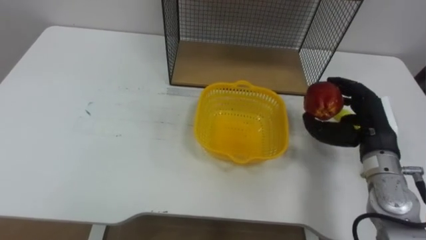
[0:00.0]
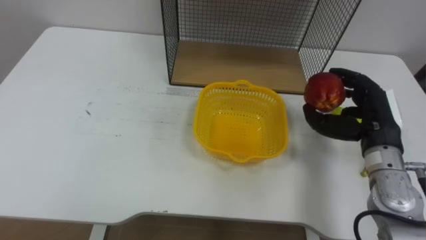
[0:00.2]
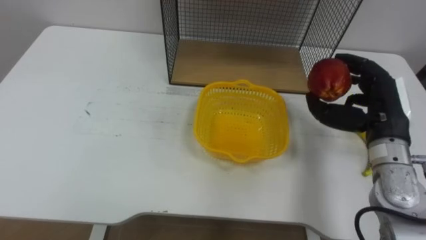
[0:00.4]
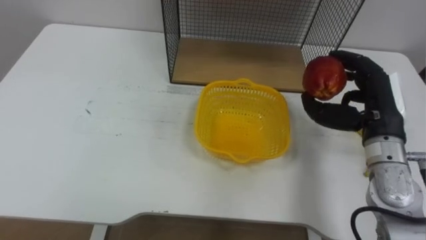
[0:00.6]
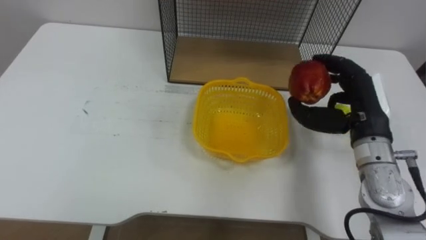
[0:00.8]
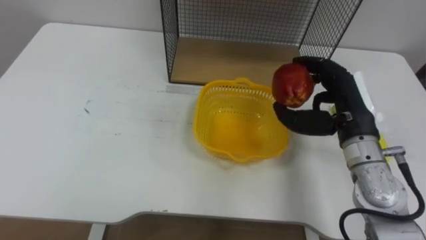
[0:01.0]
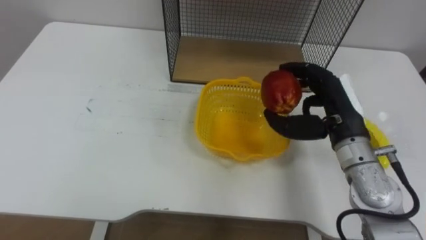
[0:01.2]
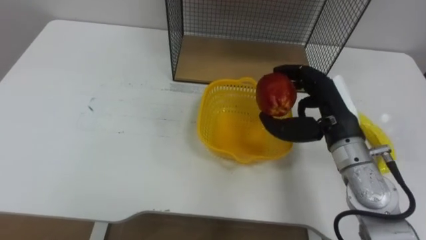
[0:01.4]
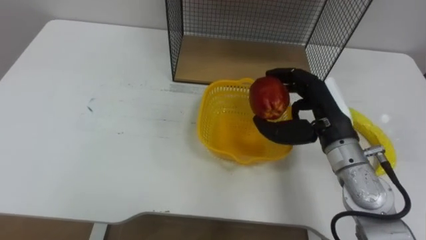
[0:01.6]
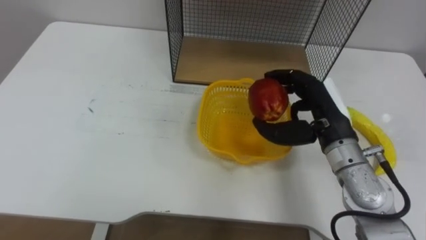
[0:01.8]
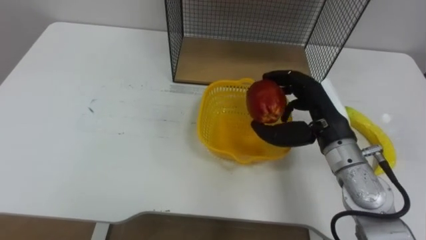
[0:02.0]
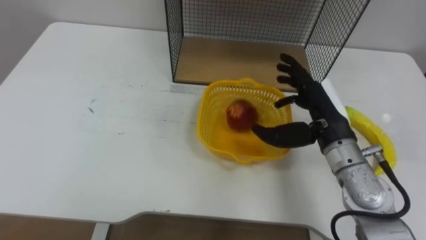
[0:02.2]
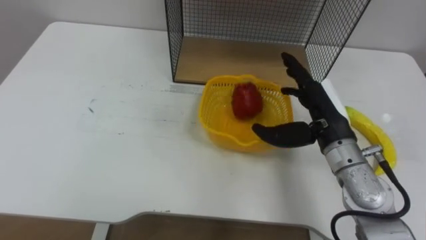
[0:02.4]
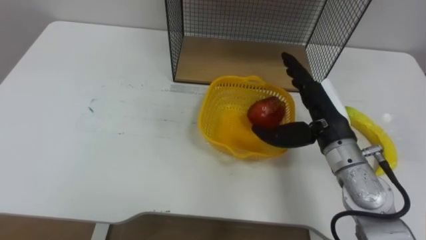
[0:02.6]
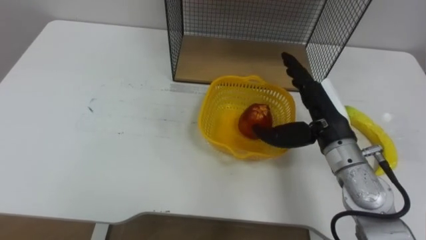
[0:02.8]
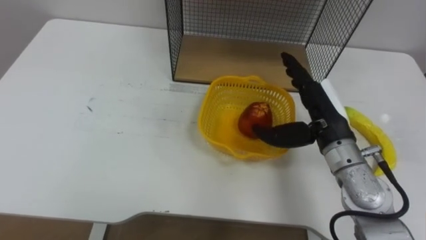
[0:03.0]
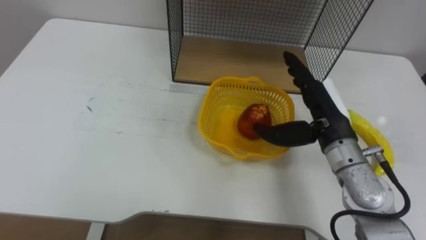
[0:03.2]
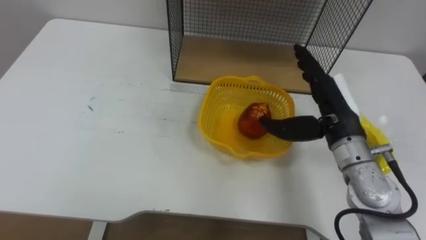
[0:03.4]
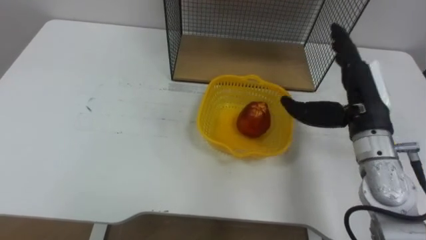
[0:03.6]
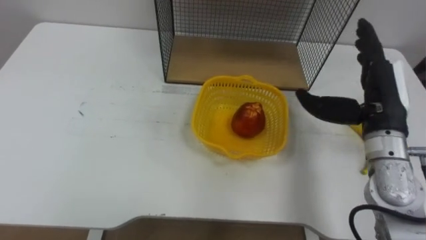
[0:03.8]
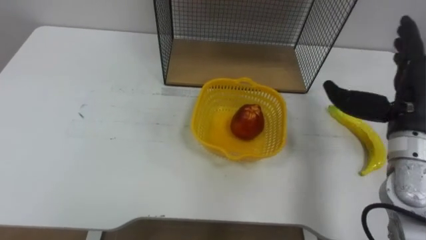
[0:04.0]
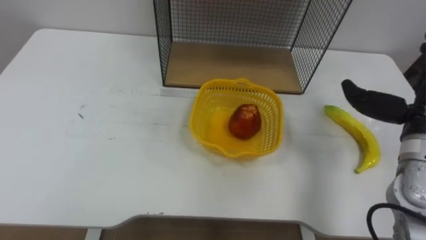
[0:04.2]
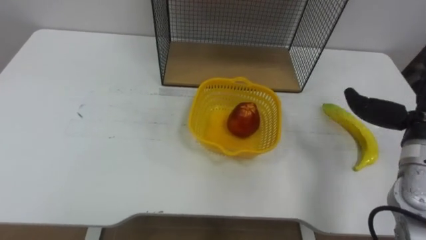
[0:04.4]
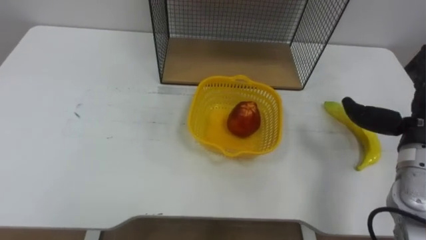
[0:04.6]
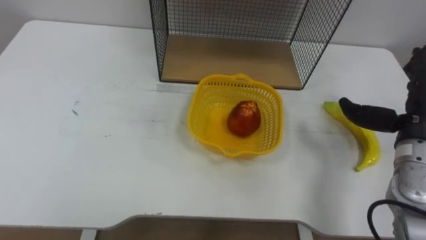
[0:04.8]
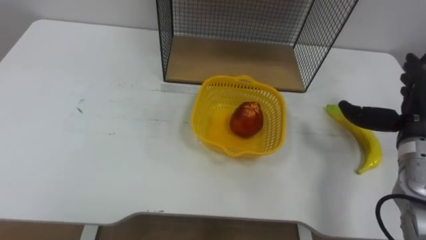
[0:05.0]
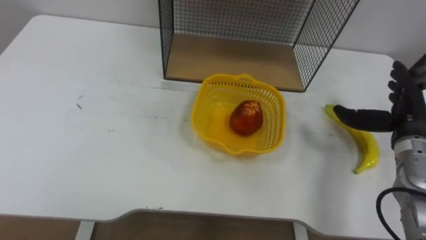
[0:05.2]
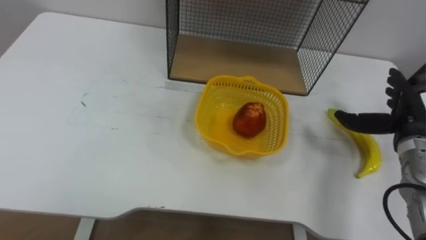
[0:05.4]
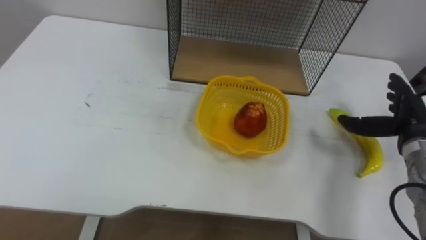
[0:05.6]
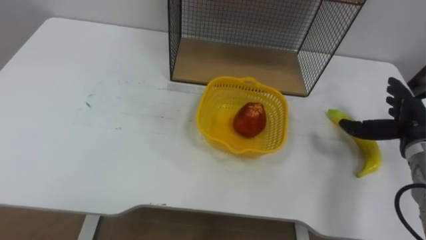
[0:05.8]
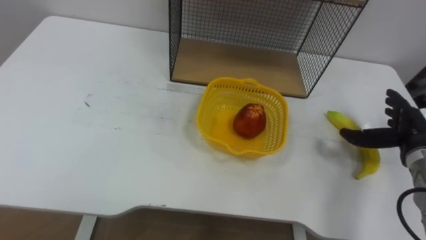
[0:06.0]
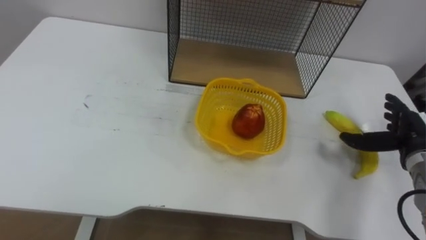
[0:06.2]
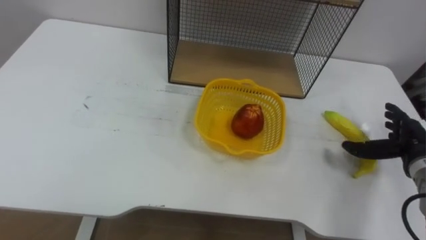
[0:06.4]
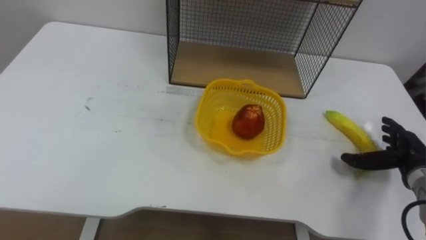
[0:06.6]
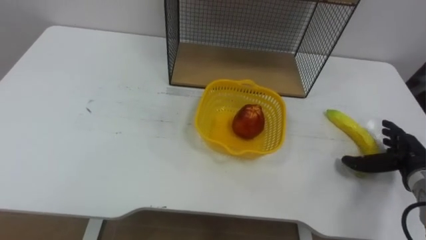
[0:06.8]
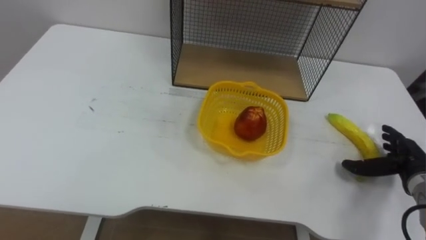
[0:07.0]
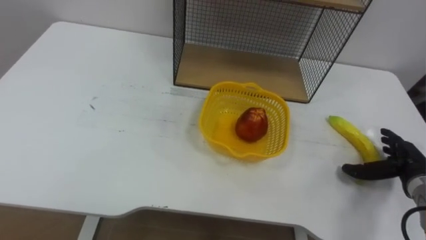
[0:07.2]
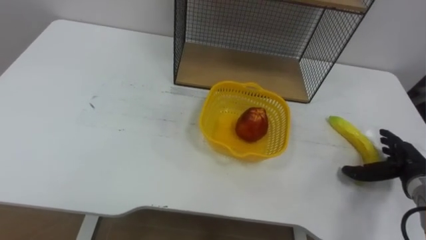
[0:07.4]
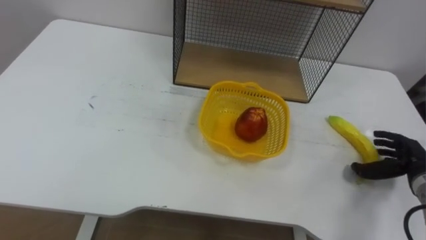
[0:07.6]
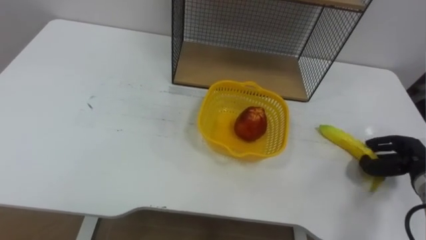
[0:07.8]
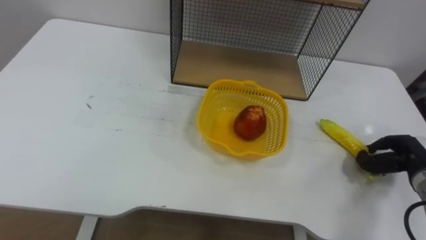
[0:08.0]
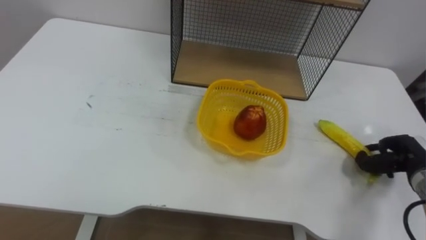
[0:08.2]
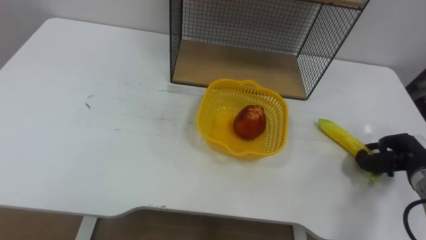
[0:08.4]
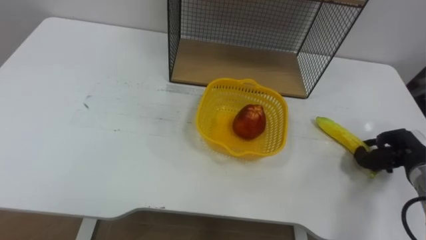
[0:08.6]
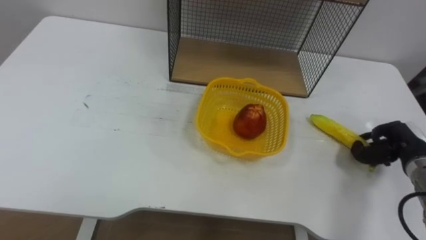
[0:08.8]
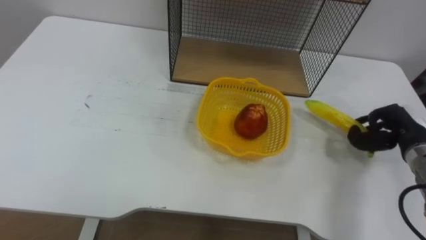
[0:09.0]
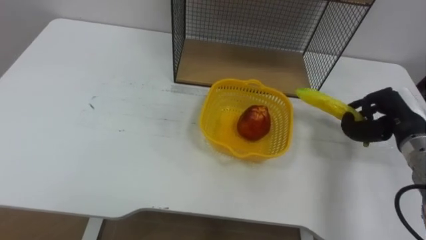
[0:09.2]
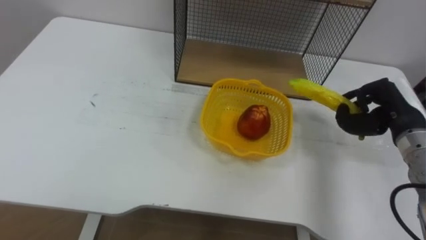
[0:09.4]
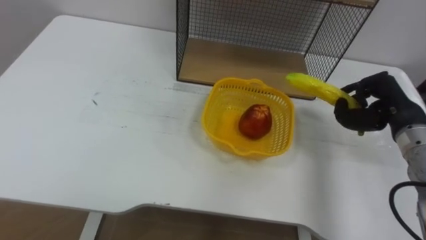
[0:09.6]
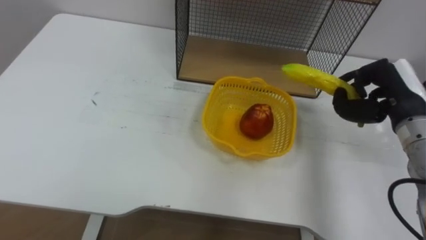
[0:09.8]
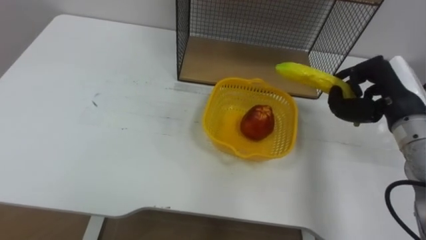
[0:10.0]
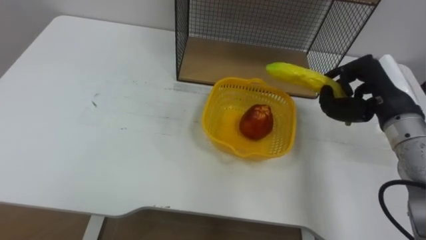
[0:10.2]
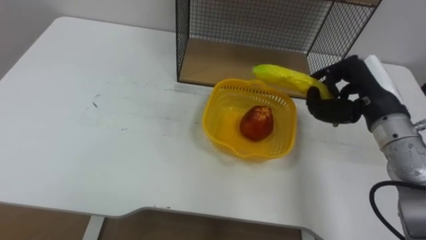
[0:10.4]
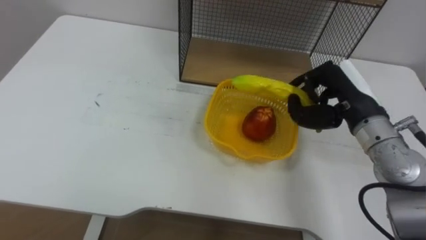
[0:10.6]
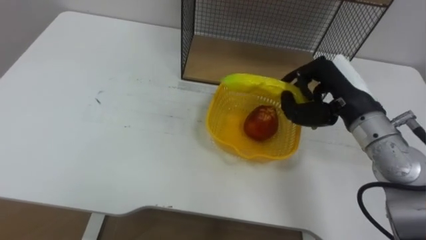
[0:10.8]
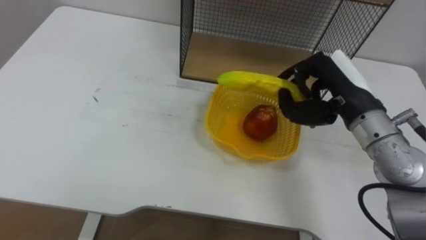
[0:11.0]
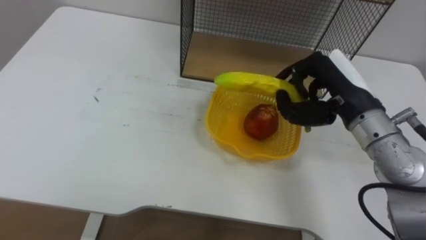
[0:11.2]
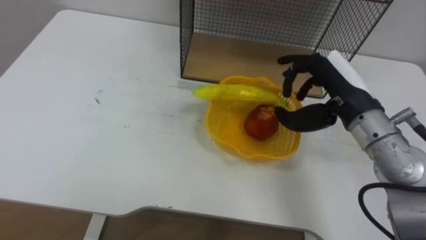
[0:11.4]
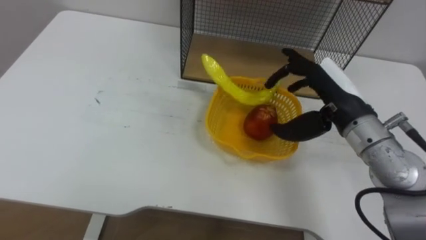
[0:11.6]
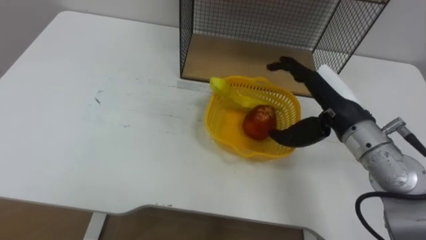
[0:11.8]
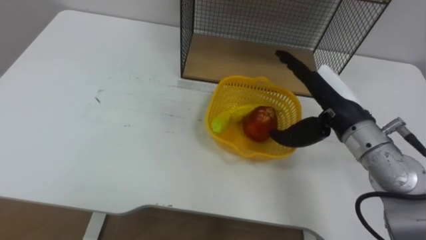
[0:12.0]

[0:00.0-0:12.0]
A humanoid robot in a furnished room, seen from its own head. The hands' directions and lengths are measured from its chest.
Task of the whole recording: Put the fruit on the table into the basket, then place the basket on the shelf.
0:00.0 to 0:01.6: The right hand moves to the left, roughly 10 cm.
0:01.6 to 0:03.0: The right hand opens up.
0:06.0 to 0:07.6: The right hand moves downward, approximately 5 cm.
0:07.6 to 0:09.0: The right hand shifts roughly 5 cm upward, and closes its fingers.
0:09.0 to 0:10.4: The right hand shifts some 15 cm upward and to the left.
0:10.4 to 0:12.0: The right hand shifts some 5 cm to the left, and opens up.

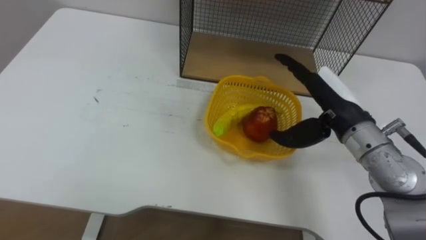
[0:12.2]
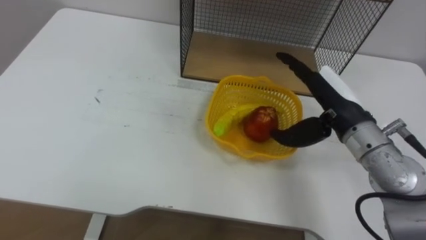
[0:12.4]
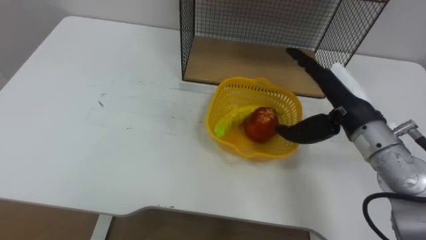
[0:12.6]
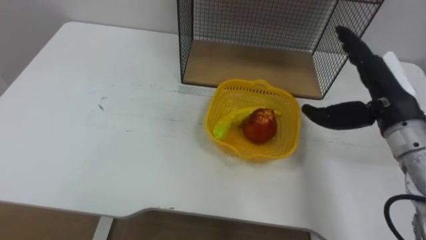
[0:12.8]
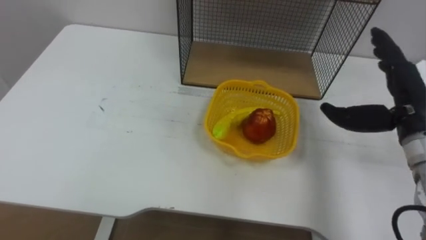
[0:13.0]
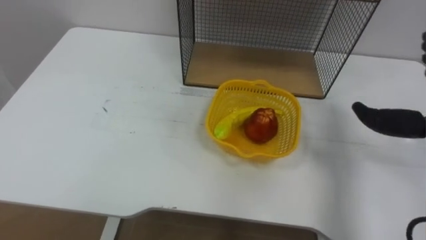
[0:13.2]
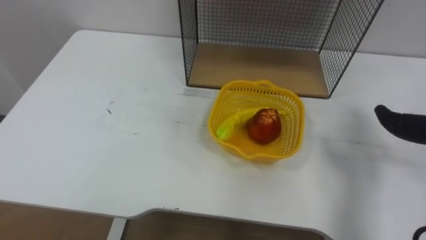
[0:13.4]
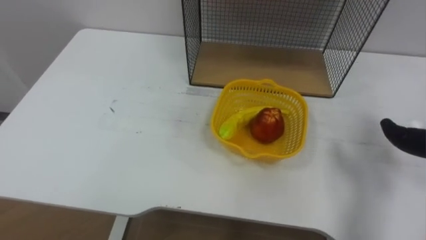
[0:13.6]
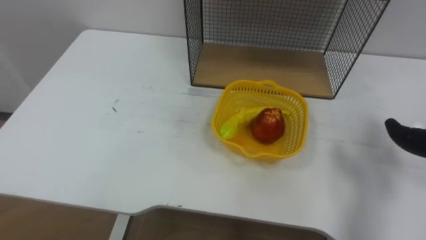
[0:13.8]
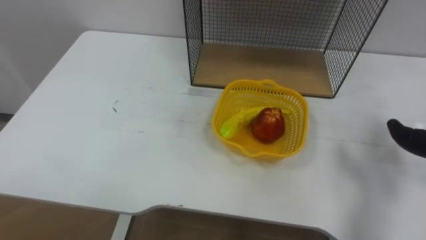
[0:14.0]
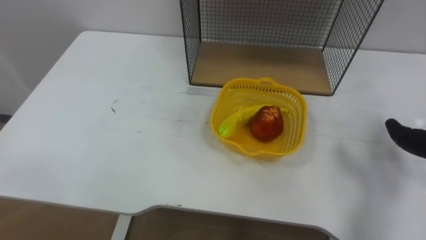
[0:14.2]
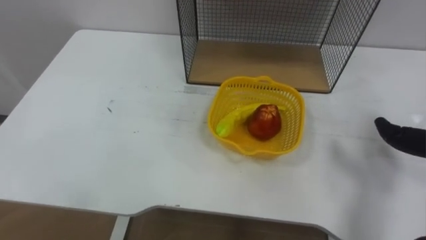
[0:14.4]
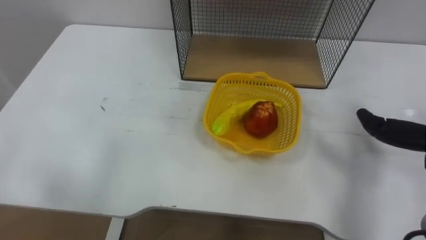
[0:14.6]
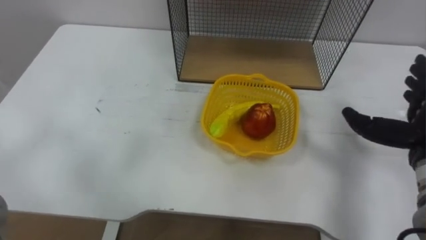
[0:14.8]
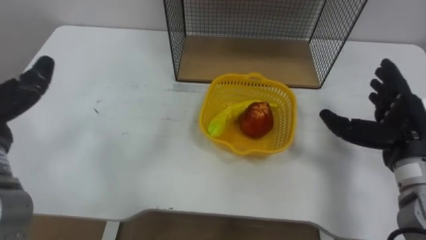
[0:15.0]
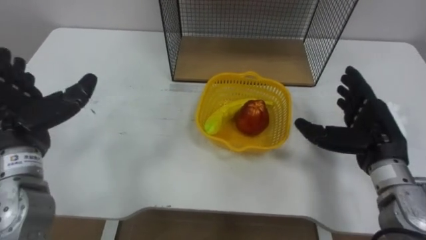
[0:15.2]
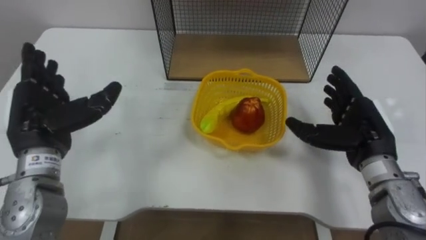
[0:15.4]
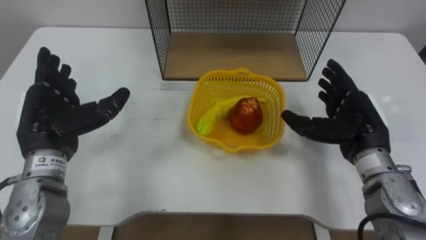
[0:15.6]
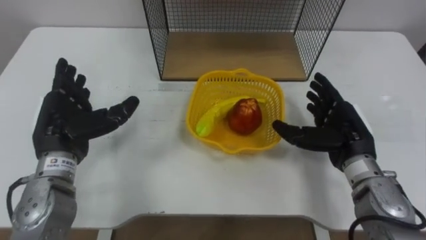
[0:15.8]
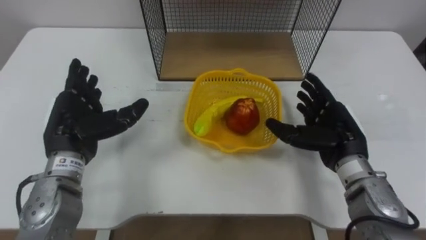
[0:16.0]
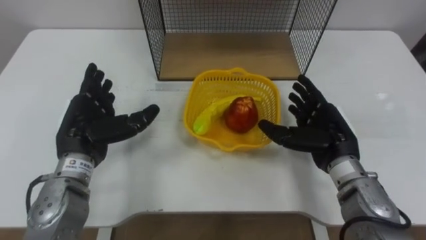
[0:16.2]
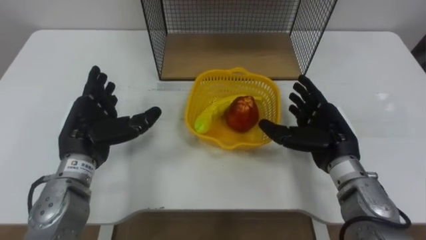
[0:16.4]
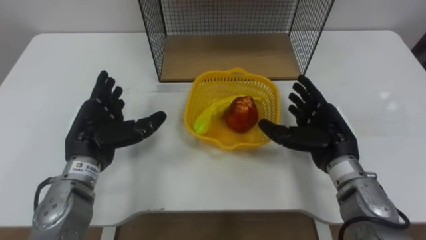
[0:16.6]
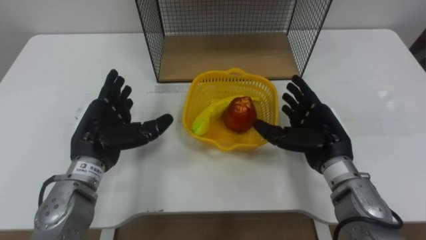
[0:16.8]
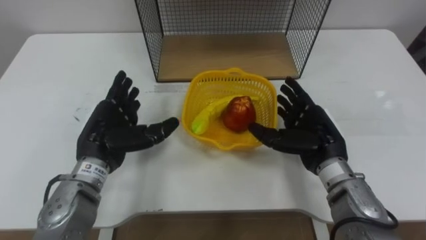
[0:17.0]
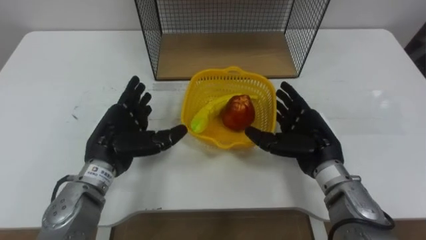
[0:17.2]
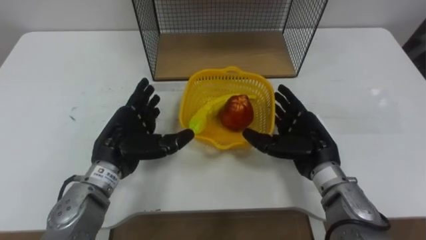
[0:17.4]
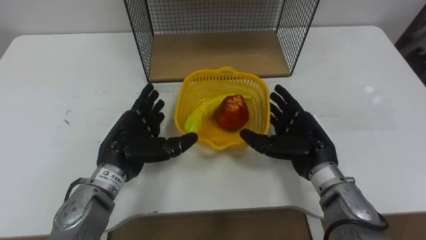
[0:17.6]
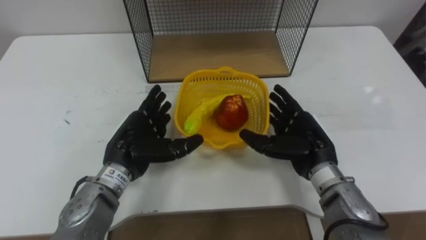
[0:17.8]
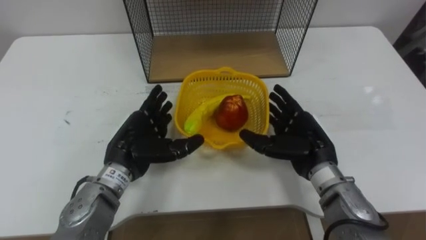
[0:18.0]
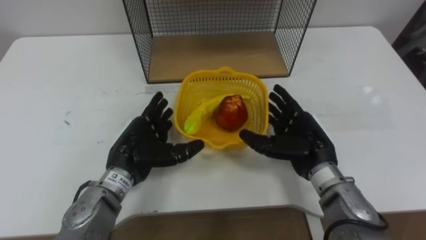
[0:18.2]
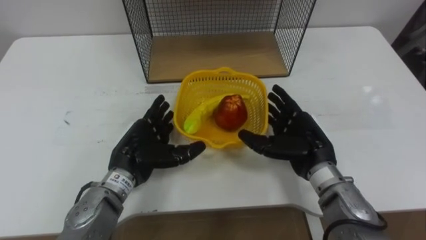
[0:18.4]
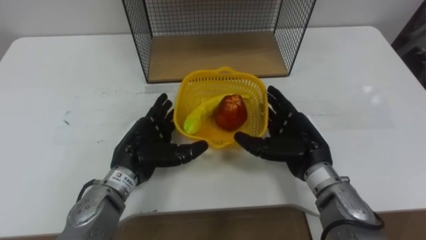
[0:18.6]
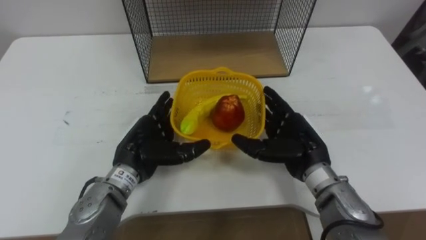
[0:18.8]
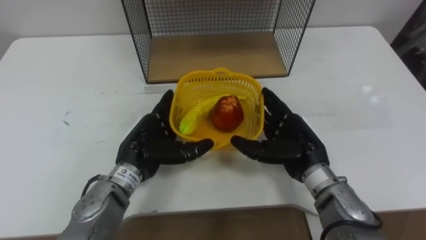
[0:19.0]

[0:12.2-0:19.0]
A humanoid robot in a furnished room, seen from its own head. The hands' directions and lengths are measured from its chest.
Task of the whole recording: Put the fruit on the table into the basket, then place the basket on the shelf.
0:15.0 to 0:16.2: The right hand goes approximately 10 cm to the left.
0:16.2 to 0:17.6: The left hand is displaced to the right by roughly 5 cm.
0:17.6 to 0:19.0: The hands make only small movements.
